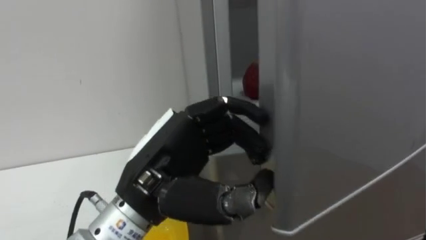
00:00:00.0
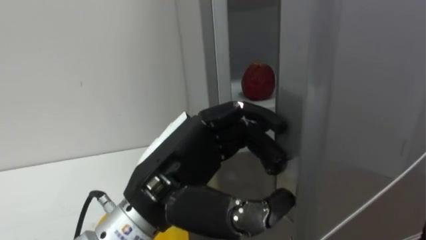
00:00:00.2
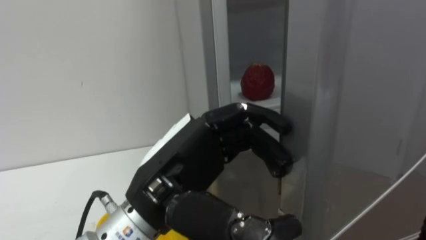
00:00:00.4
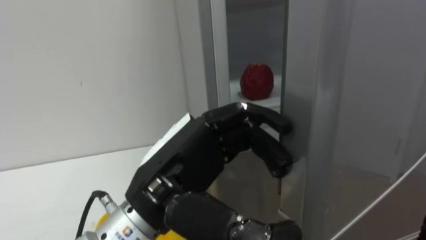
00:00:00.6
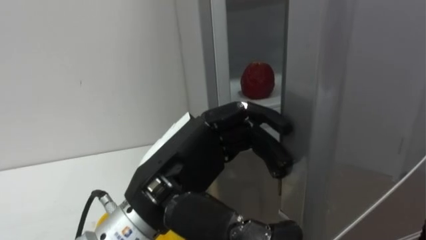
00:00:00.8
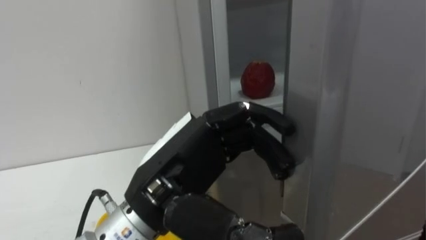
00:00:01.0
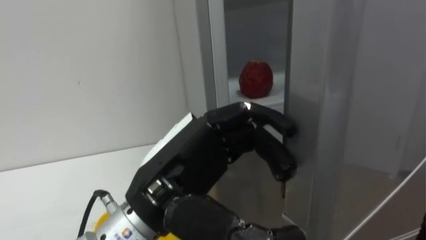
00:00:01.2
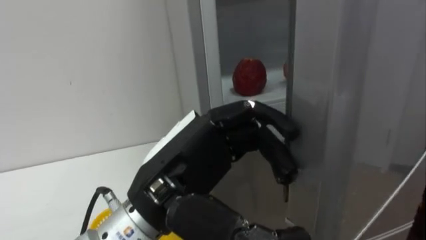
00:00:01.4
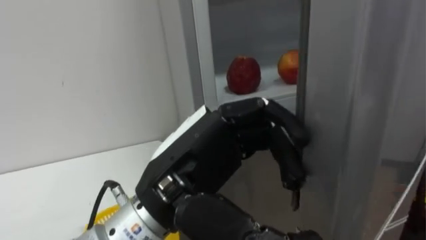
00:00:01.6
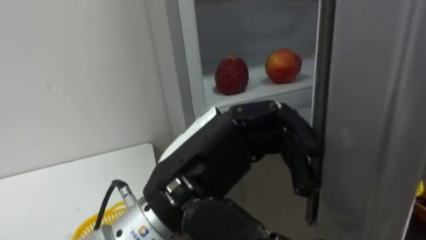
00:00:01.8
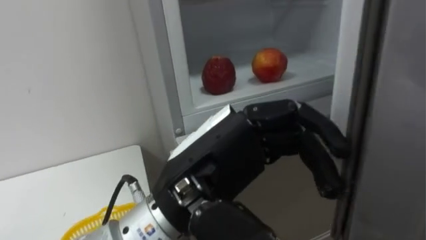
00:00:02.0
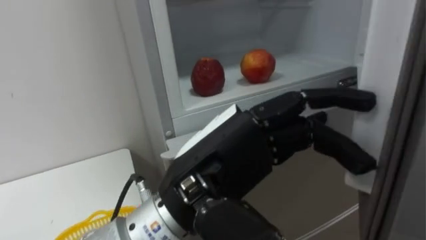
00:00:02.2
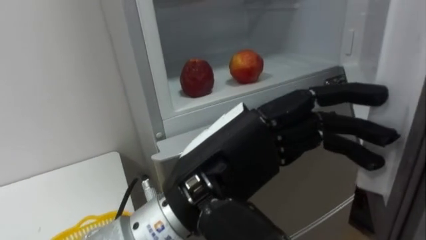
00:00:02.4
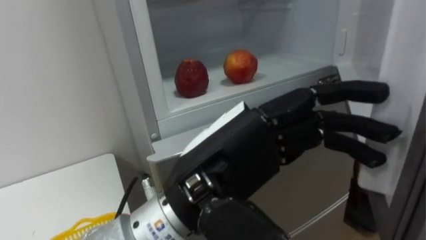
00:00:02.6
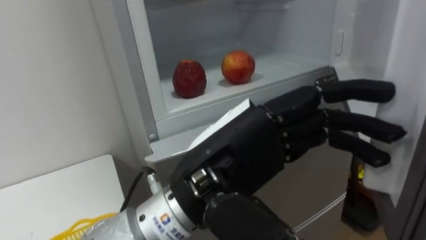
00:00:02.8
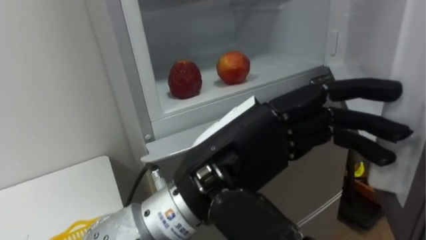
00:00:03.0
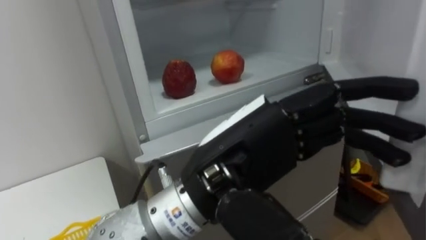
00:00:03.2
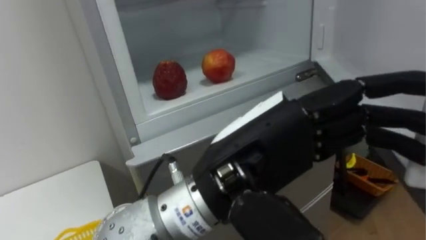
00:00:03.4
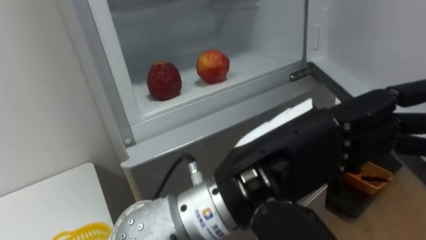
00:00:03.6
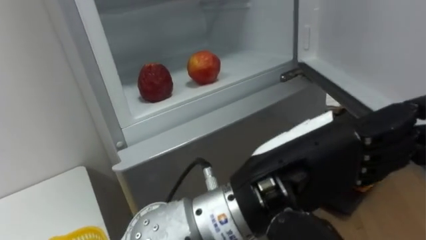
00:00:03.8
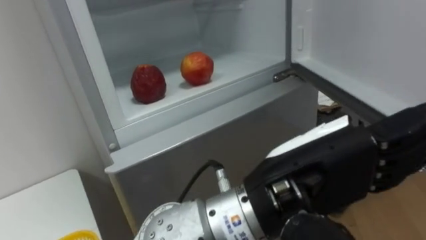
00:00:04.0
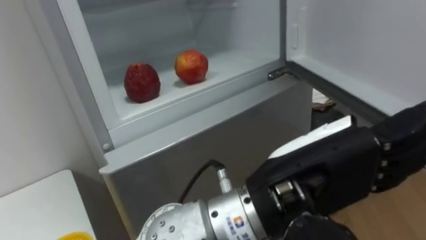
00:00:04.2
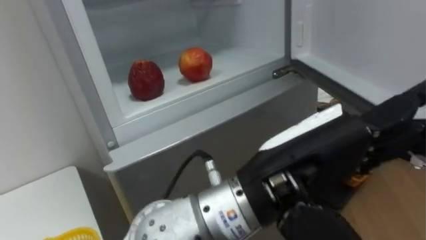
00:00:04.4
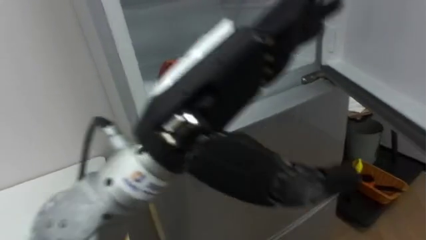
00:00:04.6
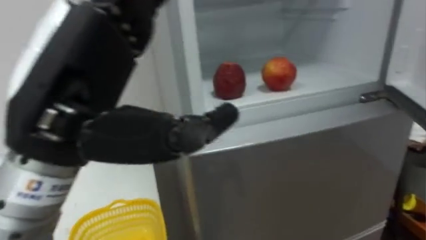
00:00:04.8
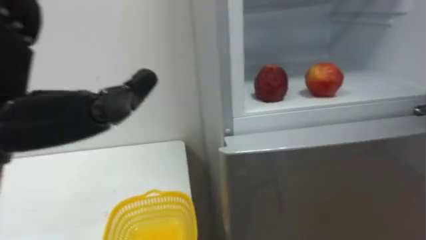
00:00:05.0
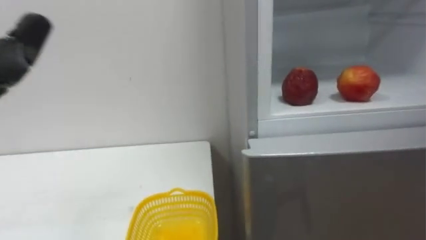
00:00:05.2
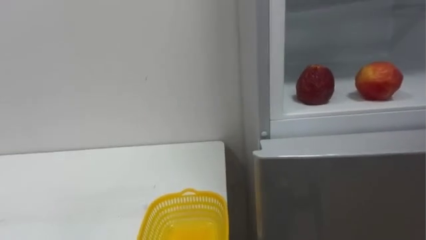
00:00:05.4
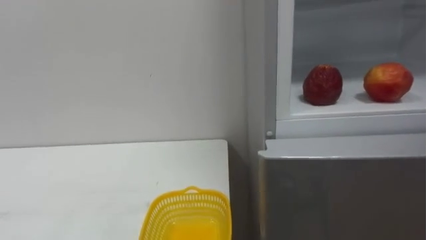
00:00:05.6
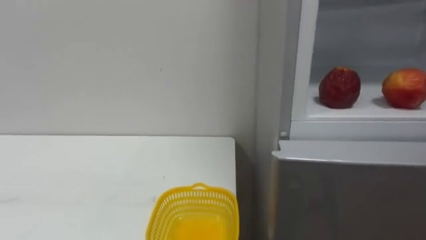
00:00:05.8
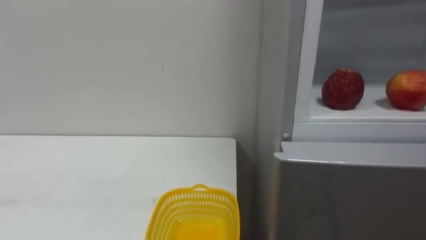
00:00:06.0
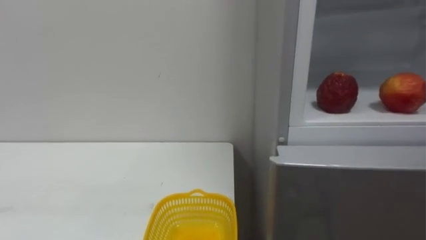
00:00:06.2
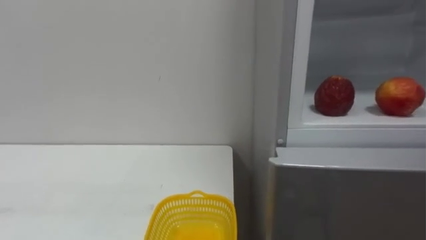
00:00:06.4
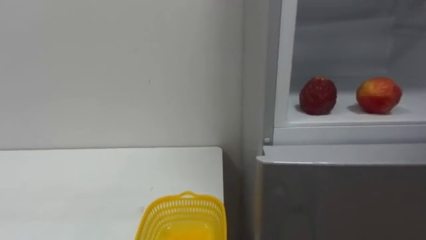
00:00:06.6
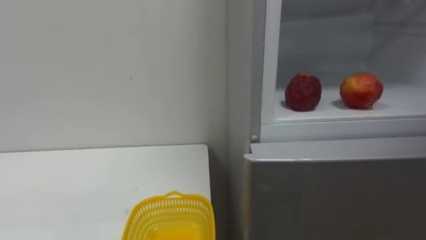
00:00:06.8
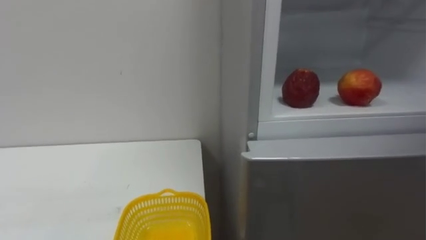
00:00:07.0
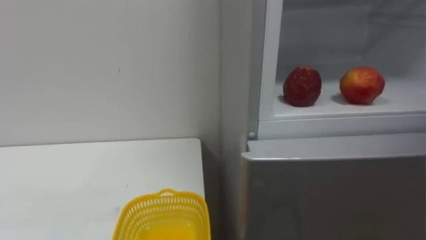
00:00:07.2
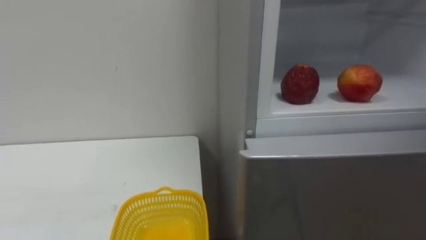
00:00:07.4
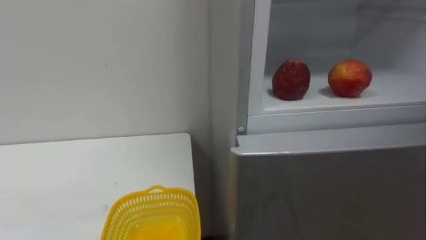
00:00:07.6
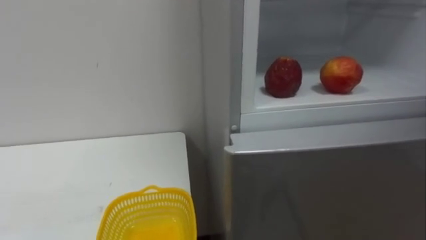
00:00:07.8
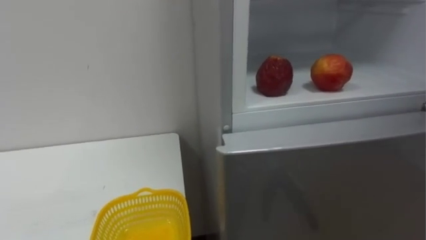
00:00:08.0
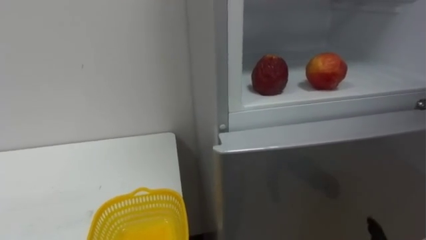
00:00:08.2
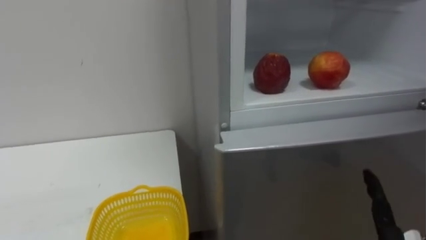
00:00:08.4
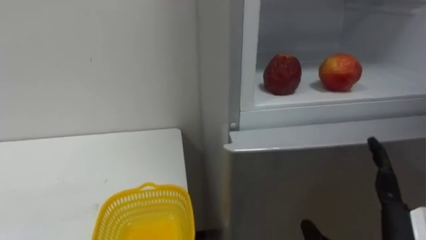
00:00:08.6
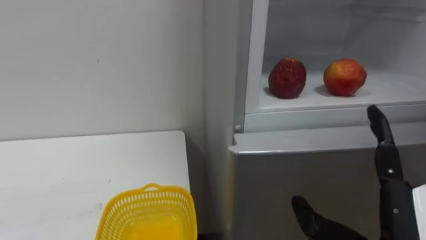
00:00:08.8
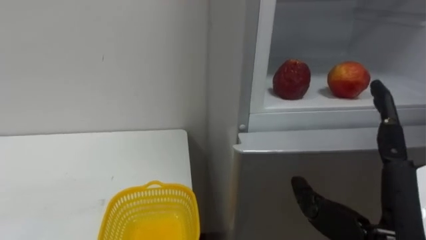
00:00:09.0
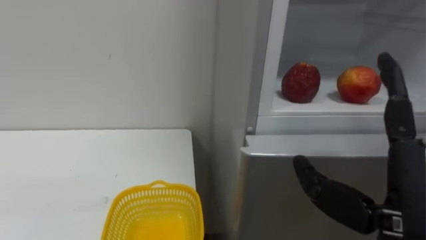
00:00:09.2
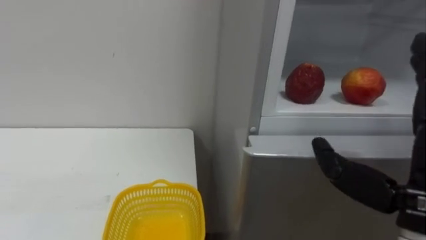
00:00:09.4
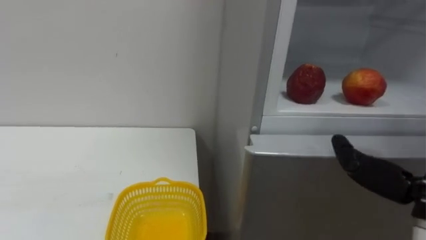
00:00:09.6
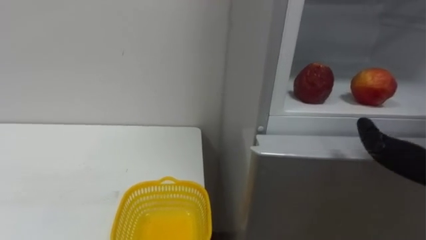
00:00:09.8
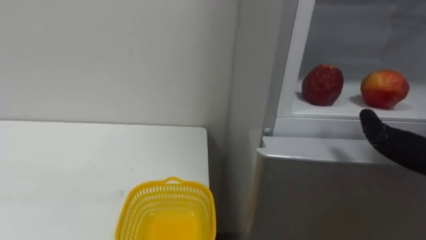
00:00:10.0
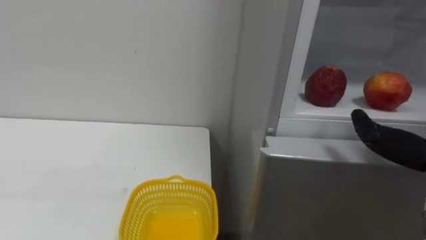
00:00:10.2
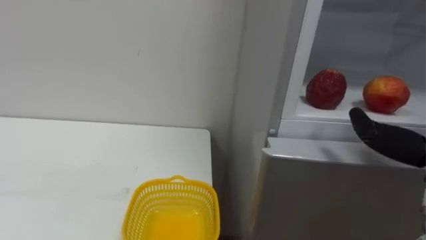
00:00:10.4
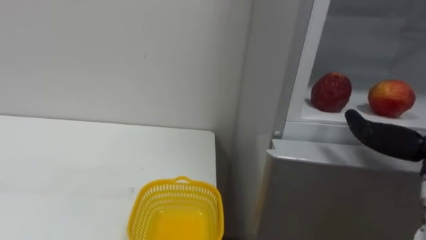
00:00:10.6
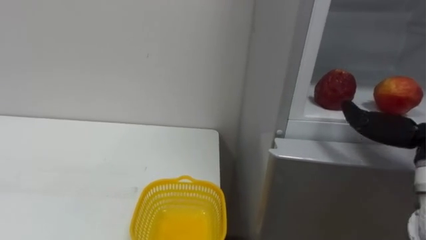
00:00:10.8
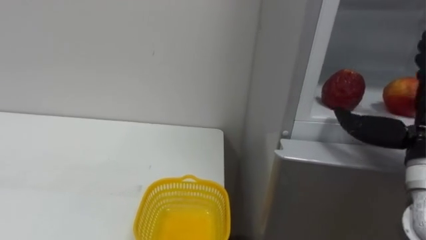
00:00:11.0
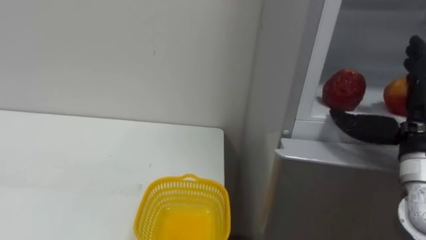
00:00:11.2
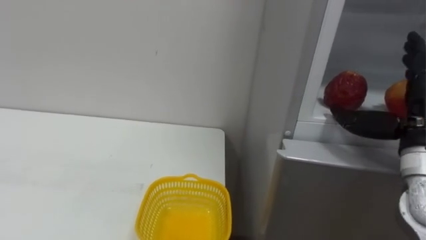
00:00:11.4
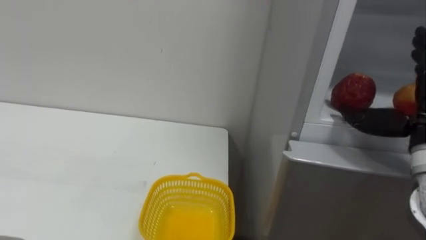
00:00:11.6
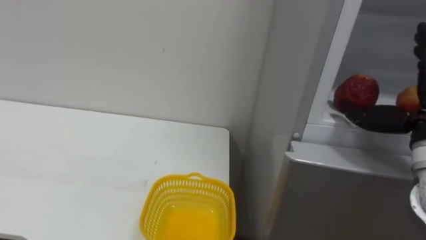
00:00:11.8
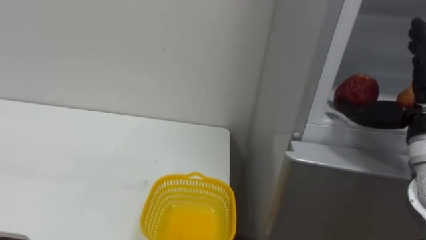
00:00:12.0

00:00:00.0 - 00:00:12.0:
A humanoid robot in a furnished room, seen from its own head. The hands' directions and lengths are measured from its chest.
Task of the whole recording: Open the refrigerator door, take out the apple and the pomegranate, place them in the fruit basket on the left, and close the refrigerator door.
00:00:00.0 - 00:00:01.6: The left hand opens.
00:00:03.0 - 00:00:04.4: The left hand moves to the right, approximately 5 cm.

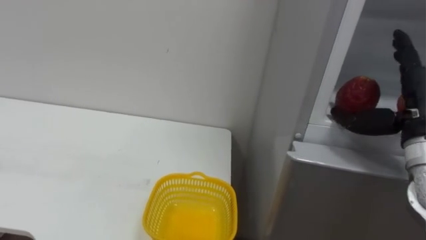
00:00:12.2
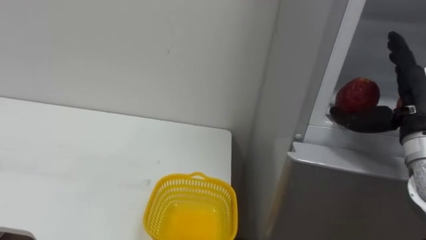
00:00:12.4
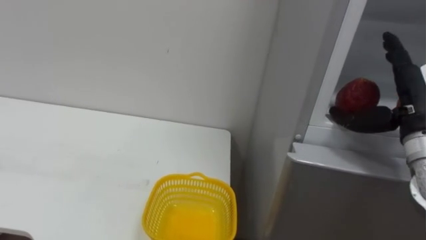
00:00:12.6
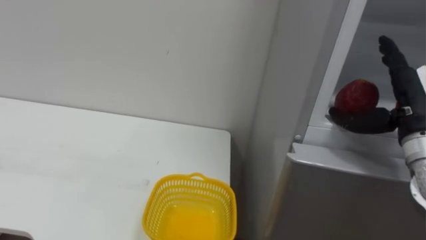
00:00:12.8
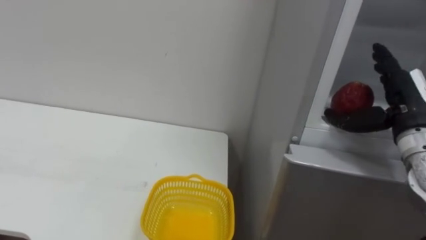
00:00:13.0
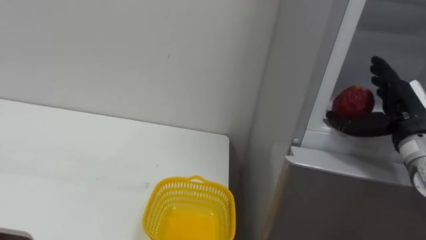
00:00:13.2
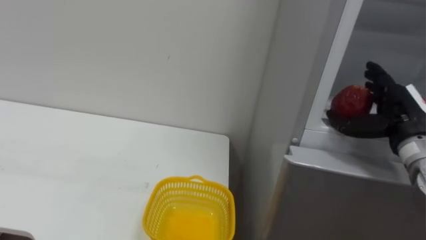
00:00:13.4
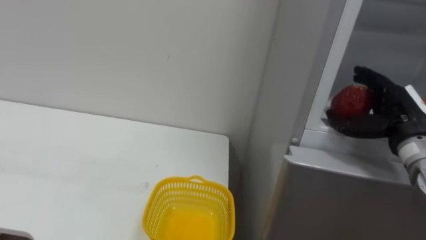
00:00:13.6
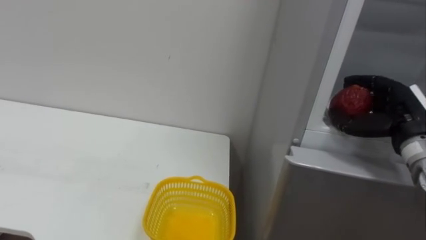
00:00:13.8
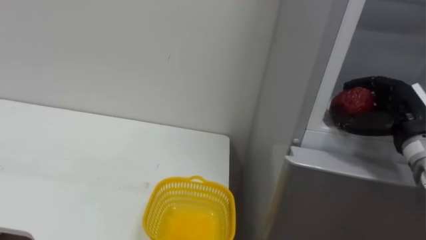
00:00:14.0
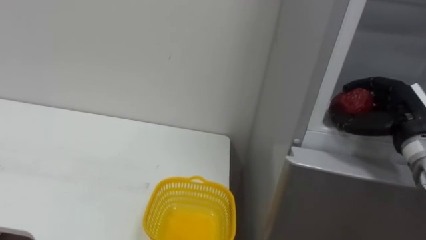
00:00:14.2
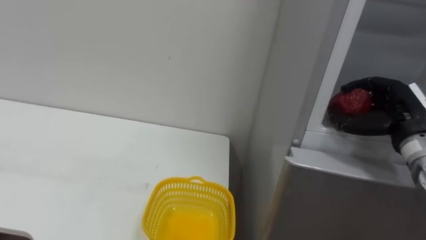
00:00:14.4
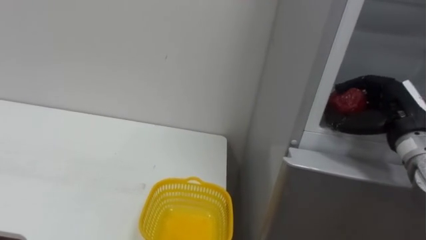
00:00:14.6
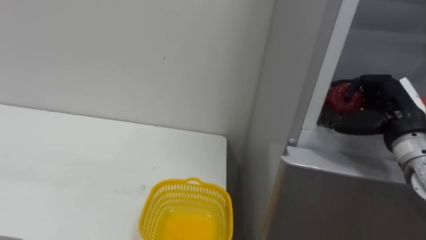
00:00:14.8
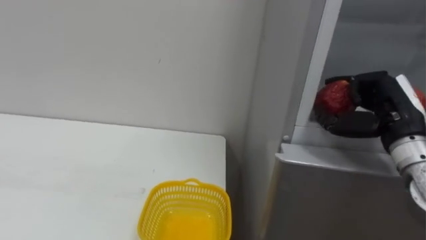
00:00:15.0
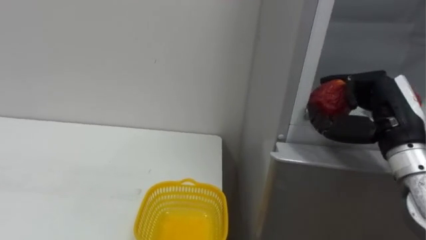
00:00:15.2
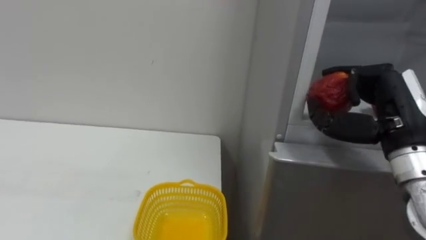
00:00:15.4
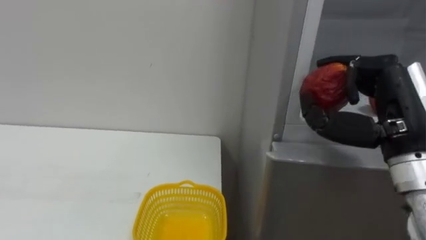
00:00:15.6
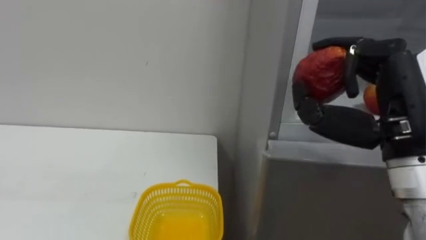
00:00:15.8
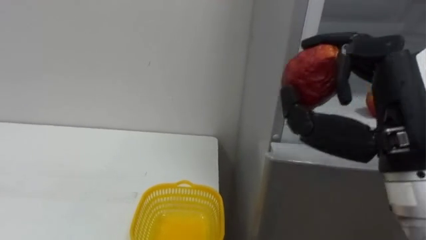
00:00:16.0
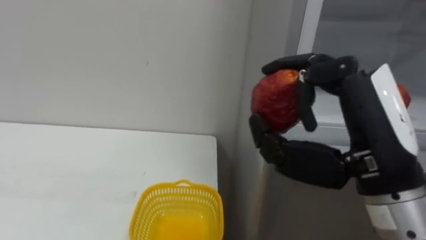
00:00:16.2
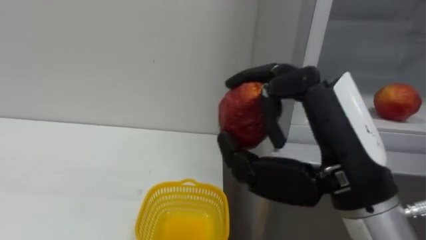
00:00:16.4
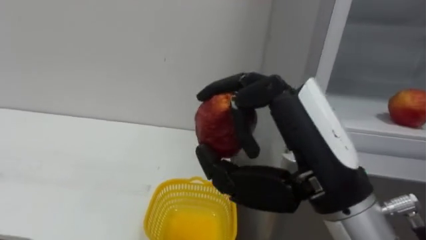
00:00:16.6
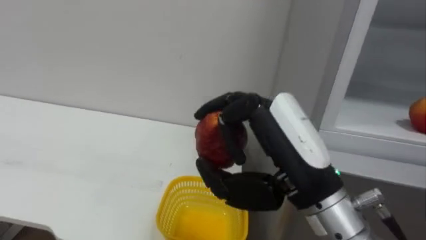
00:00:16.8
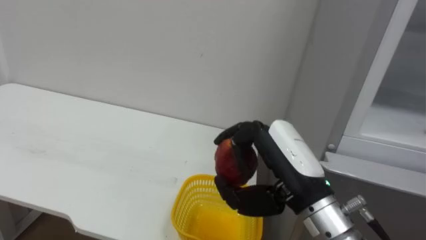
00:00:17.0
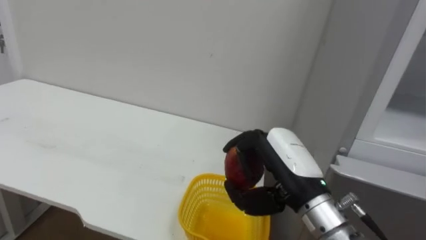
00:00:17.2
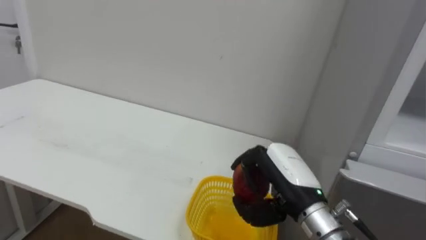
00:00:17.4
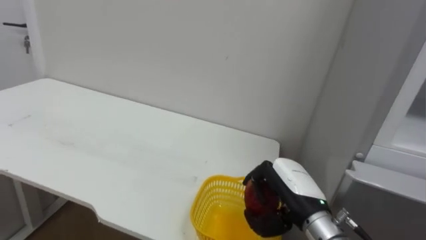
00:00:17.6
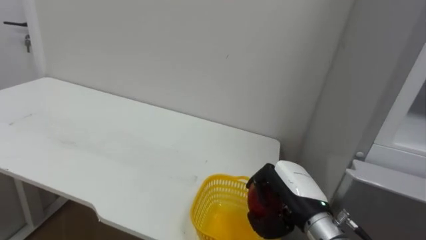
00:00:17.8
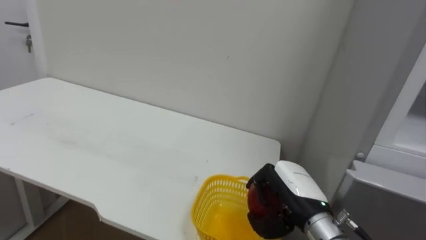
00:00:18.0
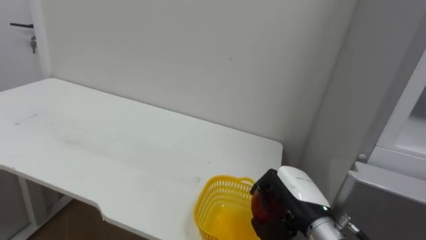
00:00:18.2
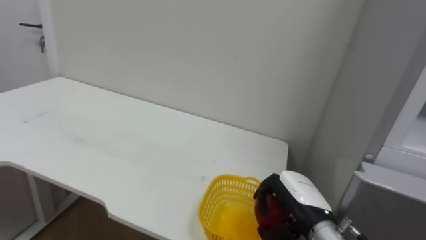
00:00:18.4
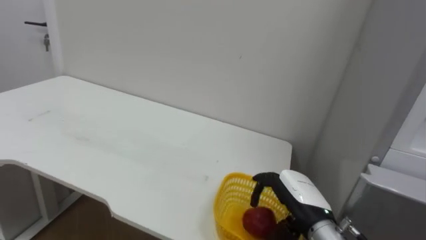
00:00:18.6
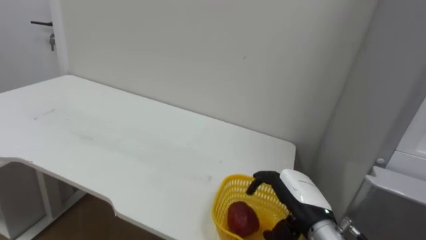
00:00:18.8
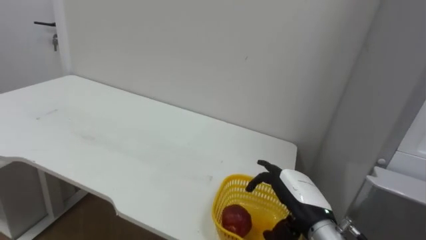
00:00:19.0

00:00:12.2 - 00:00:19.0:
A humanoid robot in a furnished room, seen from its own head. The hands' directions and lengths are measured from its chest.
Task of the whole recording: Open the refrigerator door, take out the apple and the pomegranate, place them in the fruit basket on the left, and close the refrigerator door.
00:00:12.2 - 00:00:13.6: The right hand moves roughly 5 cm.
00:00:13.6 - 00:00:15.0: The right hand closes its fingers.
00:00:15.0 - 00:00:16.2: The right hand is displaced backward, to the left and upward by about 20 cm.
00:00:16.2 - 00:00:17.6: The right hand is displaced downward and forward by about 20 cm.
00:00:17.6 - 00:00:19.0: The right hand opens its fingers.
